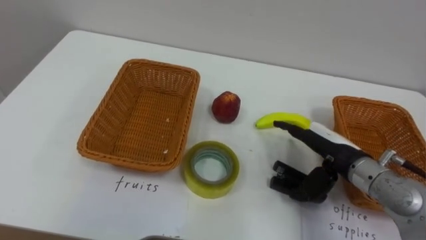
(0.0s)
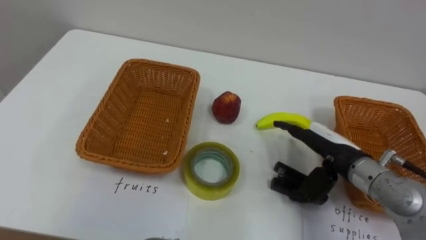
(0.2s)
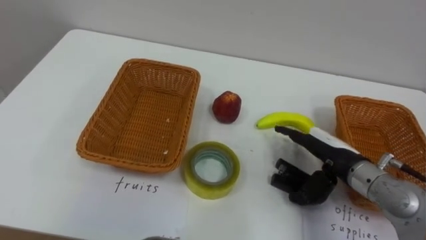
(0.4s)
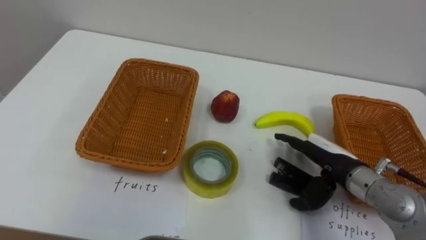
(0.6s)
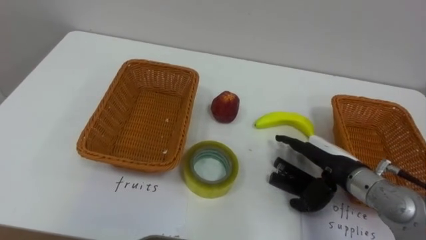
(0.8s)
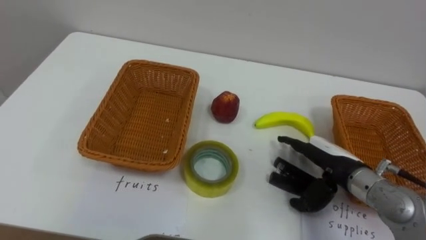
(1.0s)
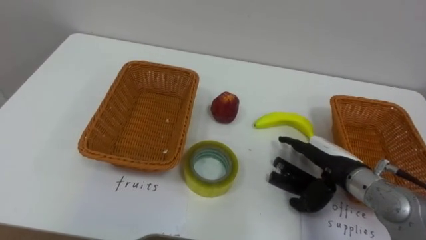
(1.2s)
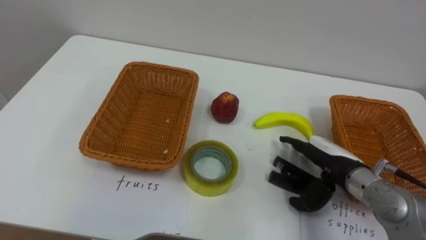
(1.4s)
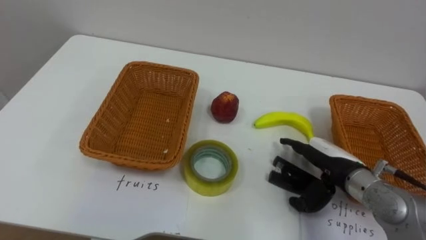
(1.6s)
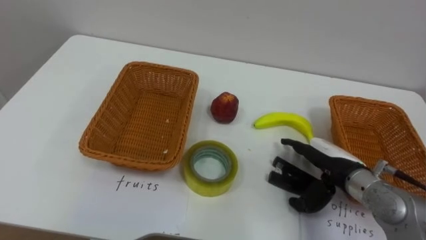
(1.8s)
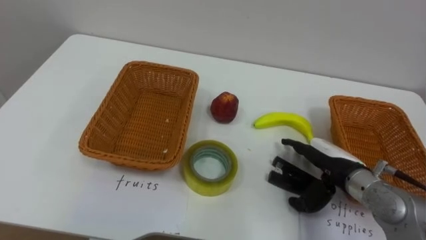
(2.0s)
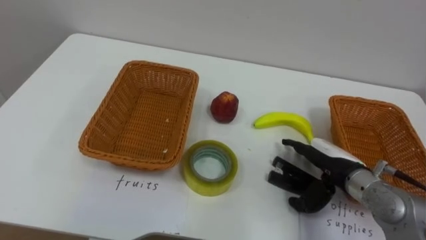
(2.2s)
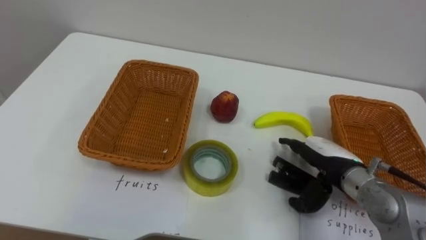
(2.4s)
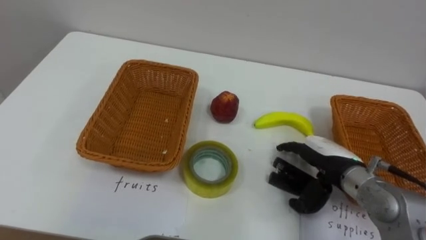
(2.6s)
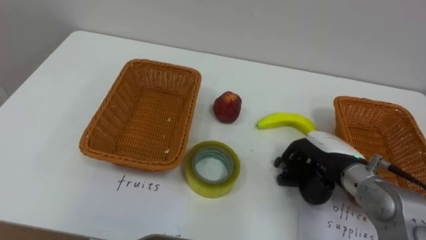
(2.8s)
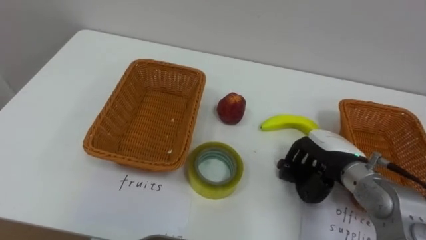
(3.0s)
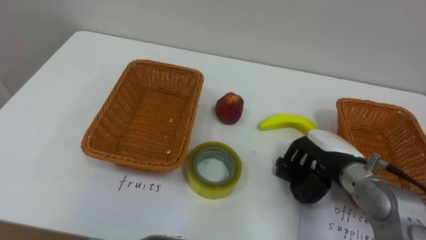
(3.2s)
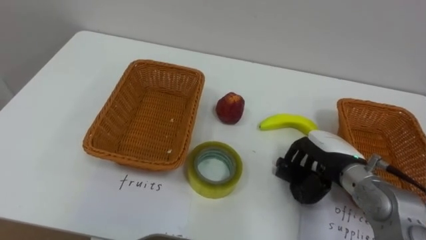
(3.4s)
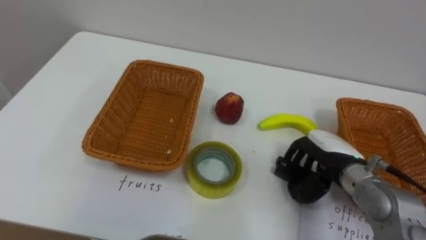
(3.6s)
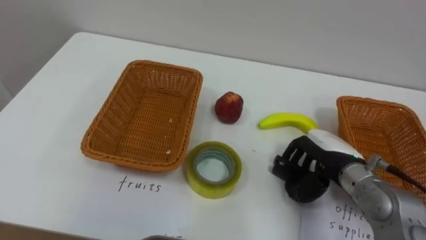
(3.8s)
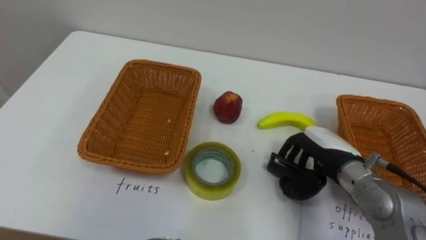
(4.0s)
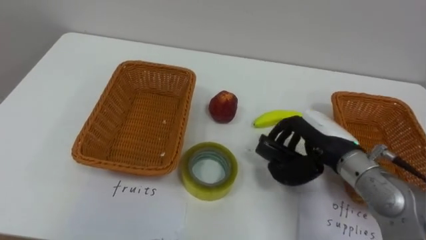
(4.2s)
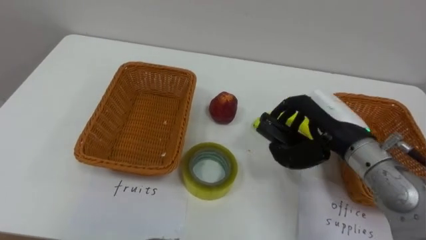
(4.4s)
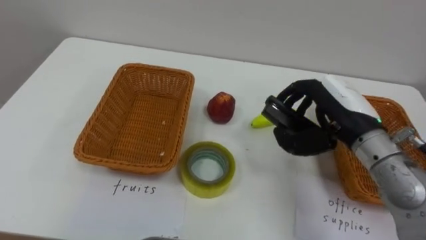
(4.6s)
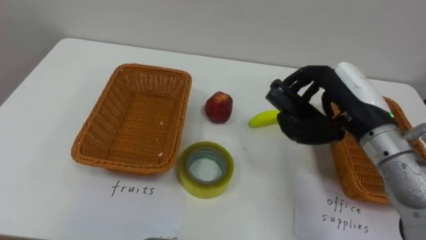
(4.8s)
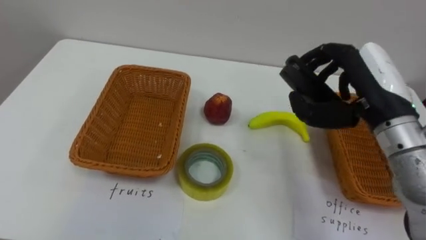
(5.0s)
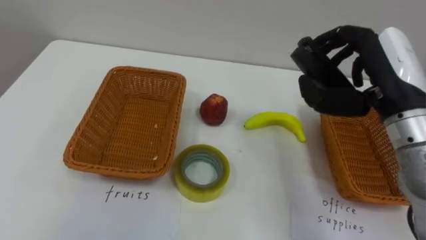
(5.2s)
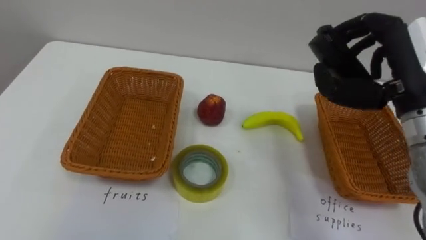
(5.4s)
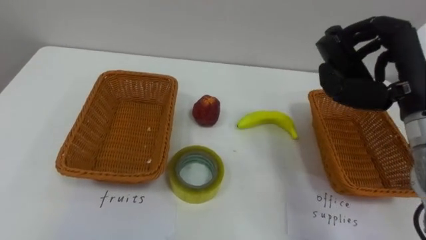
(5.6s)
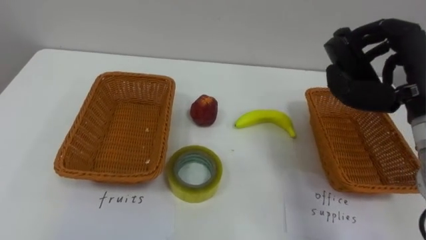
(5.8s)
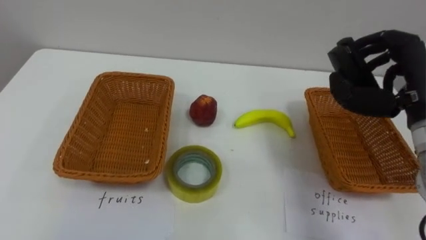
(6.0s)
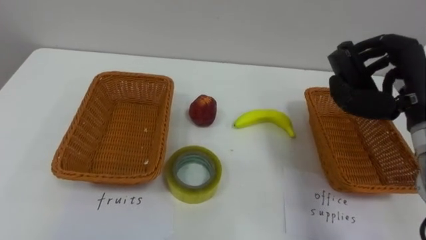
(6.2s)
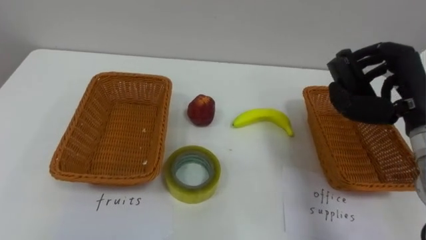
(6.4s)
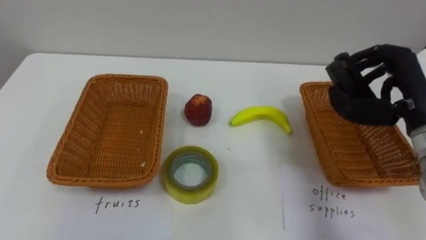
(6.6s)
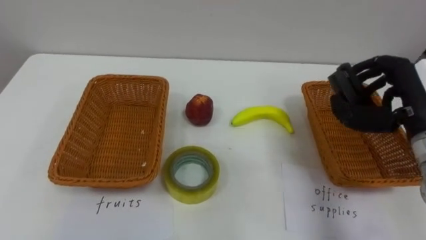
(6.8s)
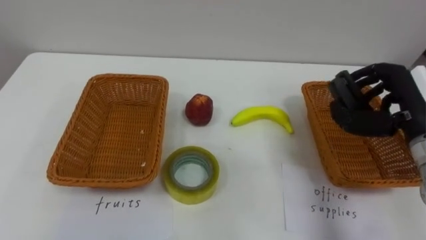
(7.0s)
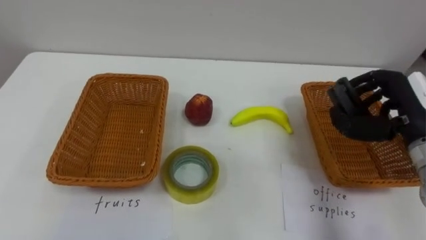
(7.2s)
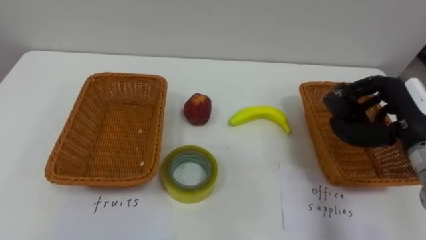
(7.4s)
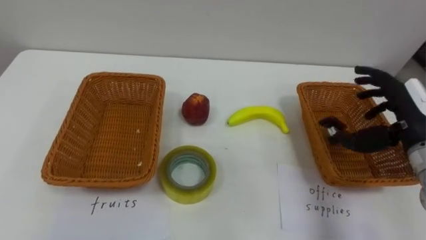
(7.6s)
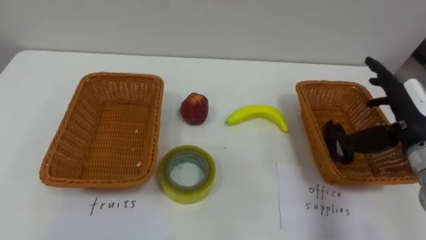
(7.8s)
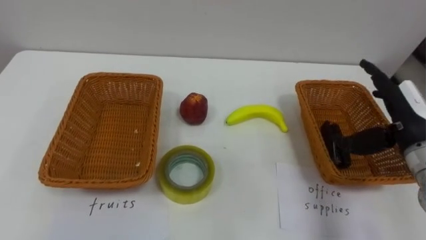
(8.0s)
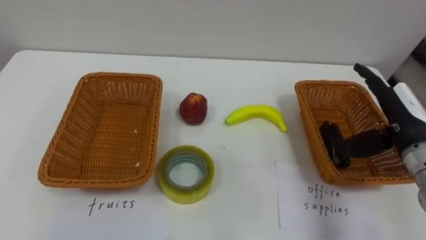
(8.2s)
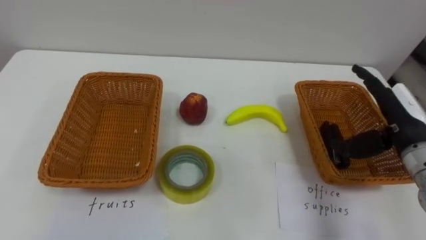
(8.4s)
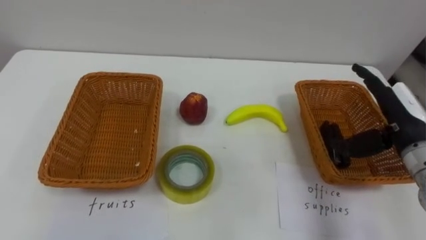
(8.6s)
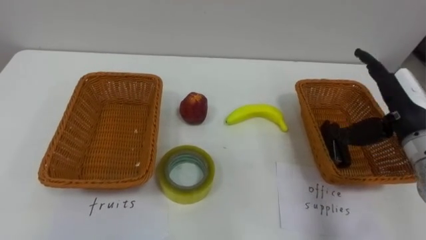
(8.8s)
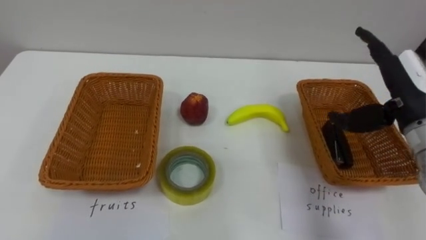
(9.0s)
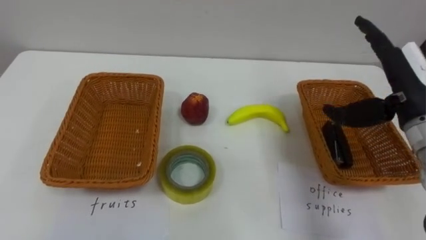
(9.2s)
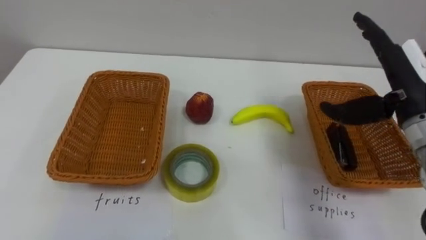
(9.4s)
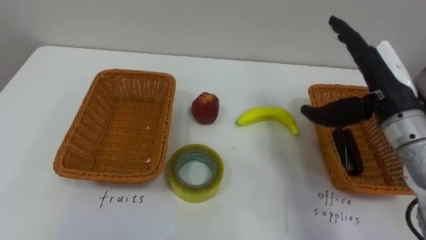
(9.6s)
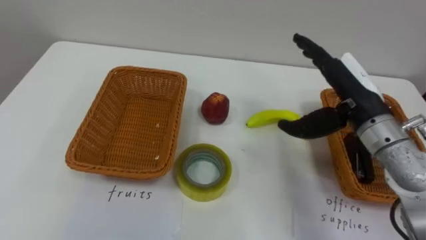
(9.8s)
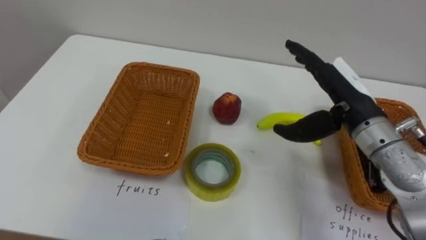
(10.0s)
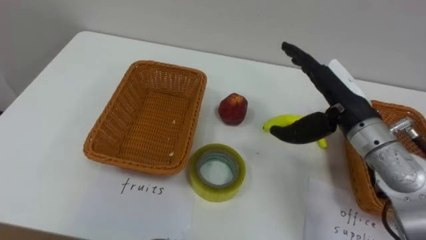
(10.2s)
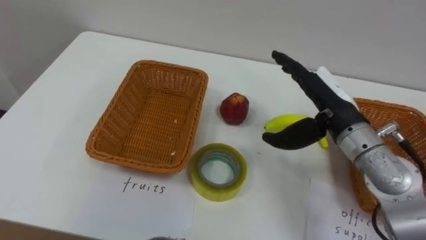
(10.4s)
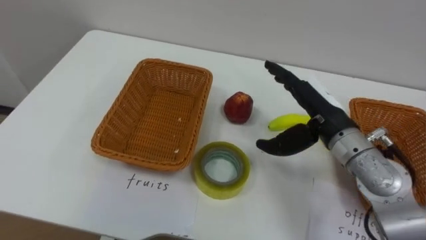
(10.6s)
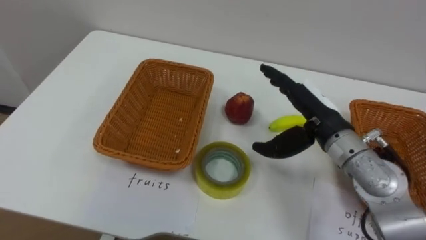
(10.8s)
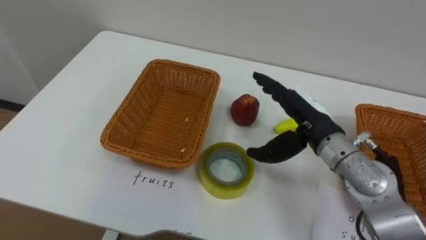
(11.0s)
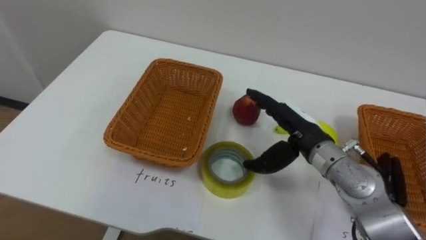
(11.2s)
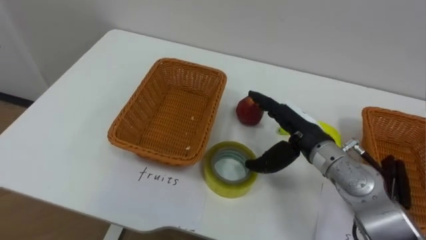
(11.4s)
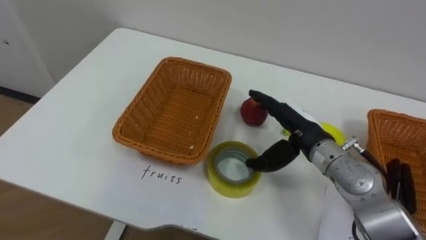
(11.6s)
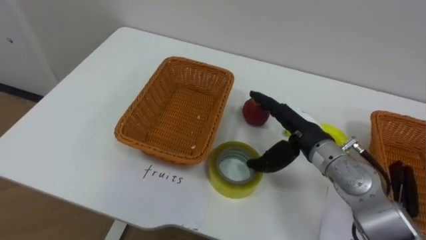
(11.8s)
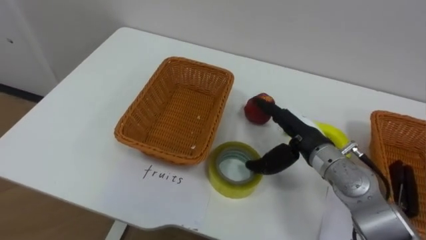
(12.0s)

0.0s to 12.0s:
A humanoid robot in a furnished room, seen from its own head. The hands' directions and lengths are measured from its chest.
Task of the whole recording: Separate the items on the table and place them into the two baskets.
1.6s to 3.0s: The right hand closes.
3.0s to 4.4s: The right hand moves upward, approximately 10 cm.
4.4s to 6.0s: The right hand moves to the right and upward, some 10 cm.
6.0s to 7.6s: The right hand travels downward by approximately 5 cm, and opens up.
9.0s to 10.4s: The right hand goes about 10 cm to the left.
10.4s to 12.0s: The right hand shifts roughly 10 cm downward.

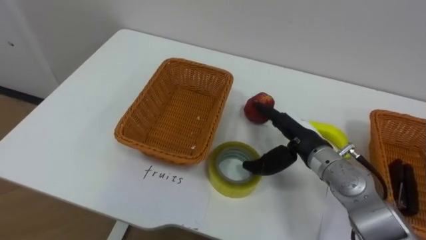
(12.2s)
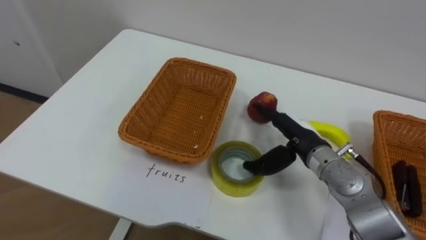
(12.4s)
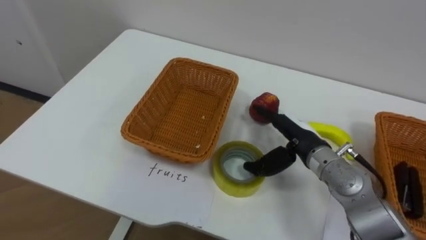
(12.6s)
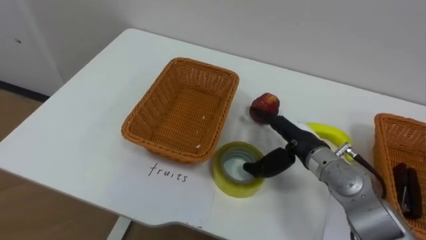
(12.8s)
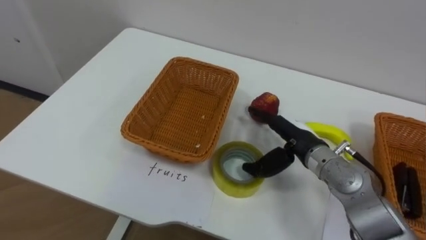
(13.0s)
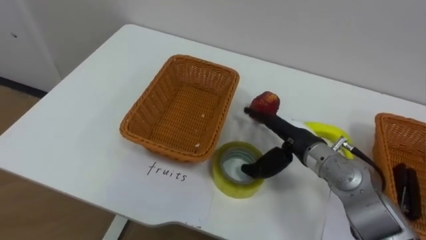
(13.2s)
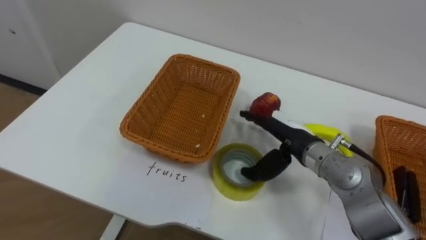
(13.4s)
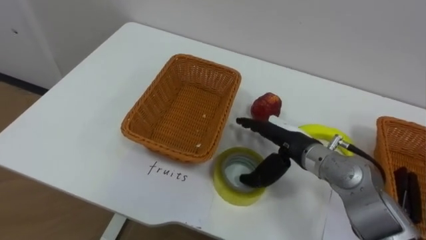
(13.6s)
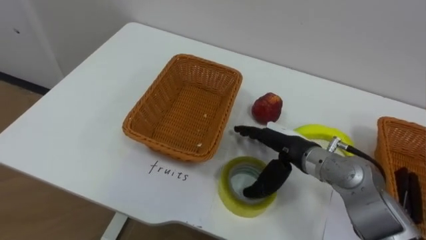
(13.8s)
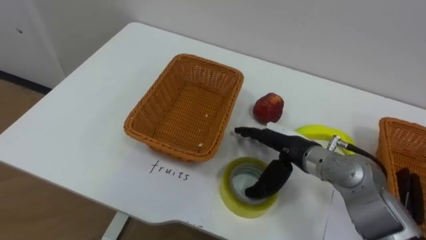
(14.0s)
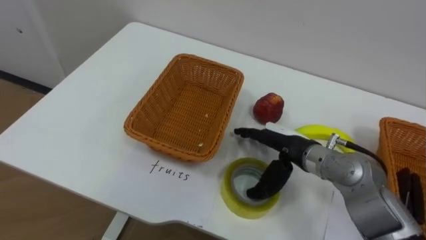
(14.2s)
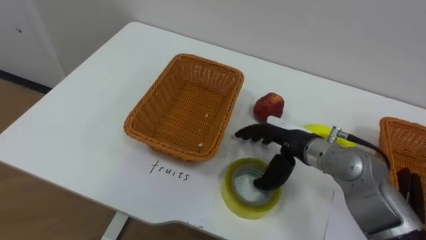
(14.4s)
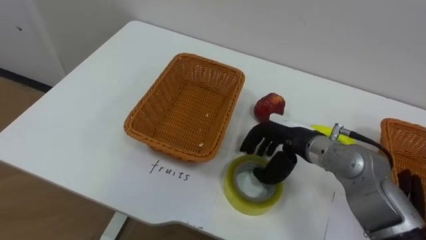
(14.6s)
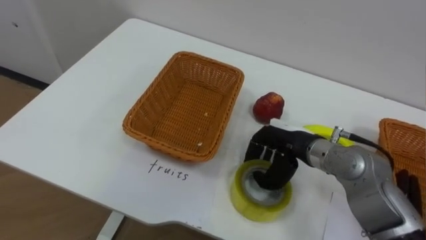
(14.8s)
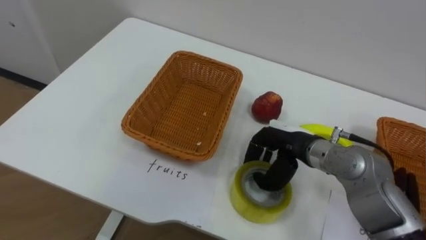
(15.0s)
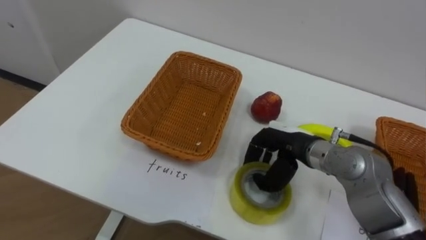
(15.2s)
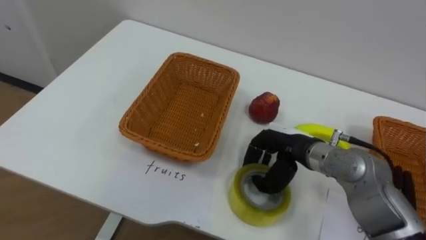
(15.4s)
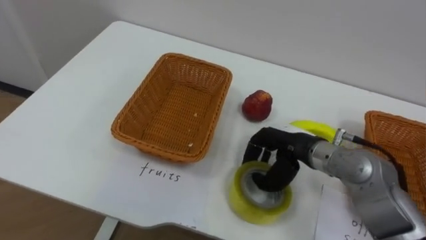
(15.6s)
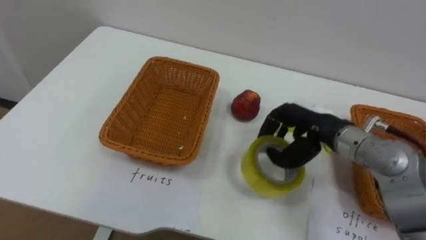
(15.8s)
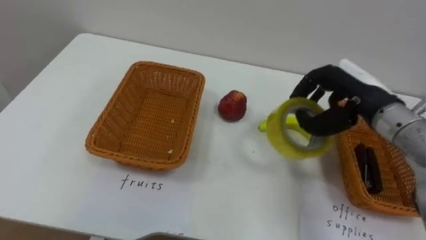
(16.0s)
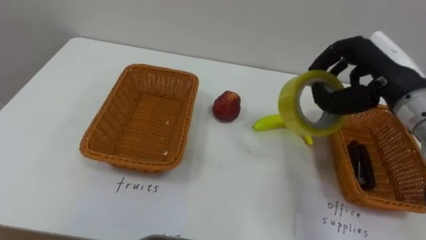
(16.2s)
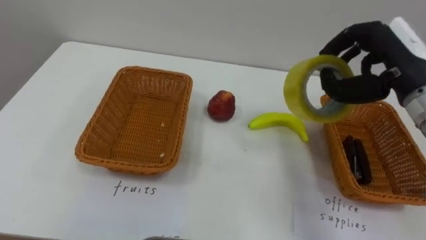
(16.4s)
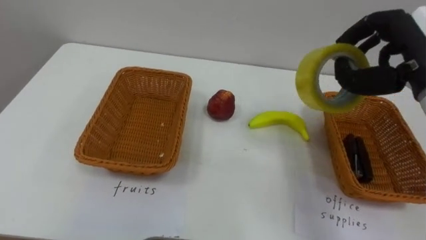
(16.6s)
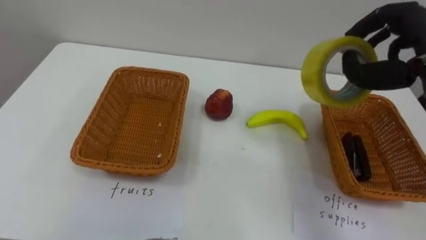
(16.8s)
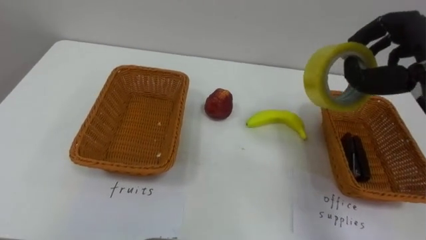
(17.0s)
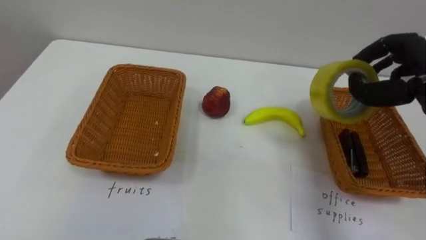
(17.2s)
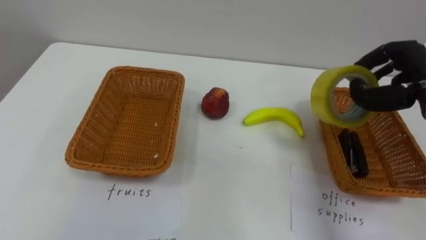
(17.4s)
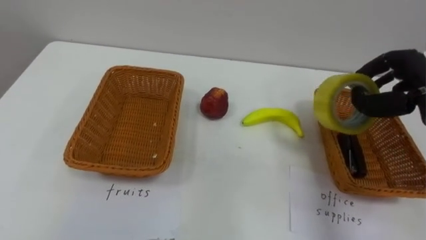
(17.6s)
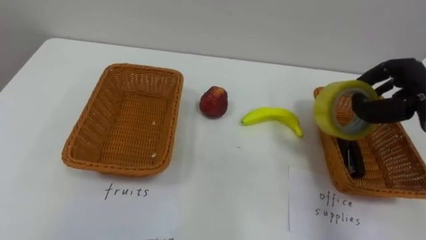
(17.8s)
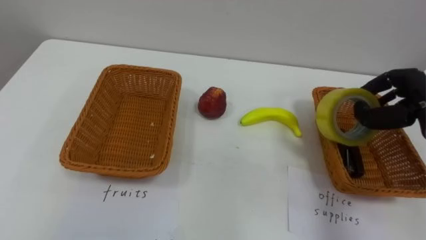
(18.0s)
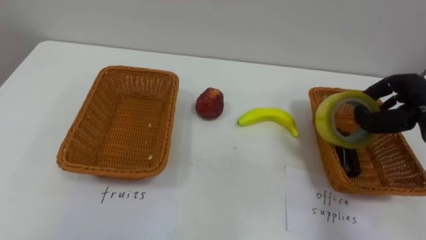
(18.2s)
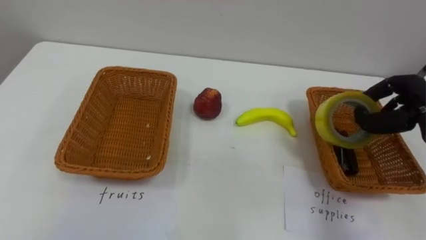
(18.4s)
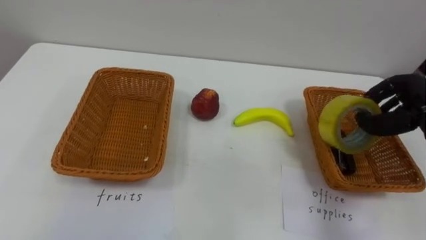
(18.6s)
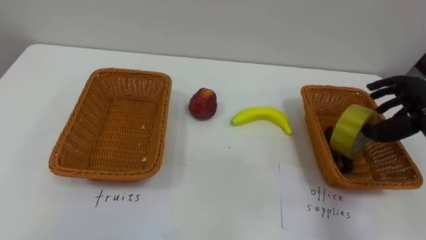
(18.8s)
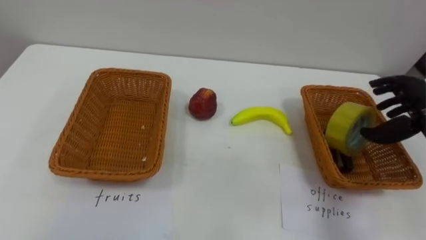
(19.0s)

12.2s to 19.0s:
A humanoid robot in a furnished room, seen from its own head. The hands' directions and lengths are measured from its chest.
Task of the whole recording: Separate the items on the table and place them into the two baskets.
13.6s to 15.0s: The right hand closes up.
15.0s to 16.2s: The right hand is displaced upward and to the right by about 20 cm.
